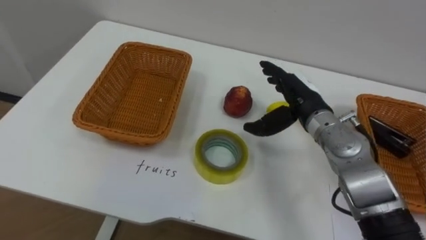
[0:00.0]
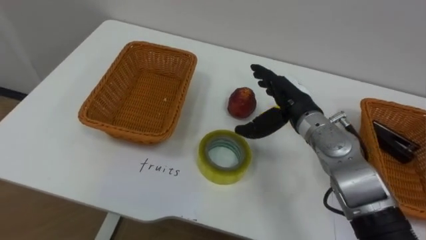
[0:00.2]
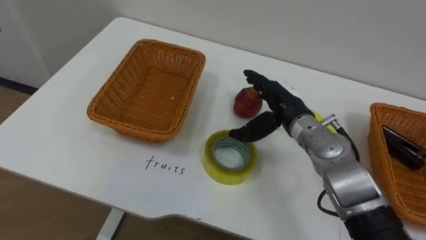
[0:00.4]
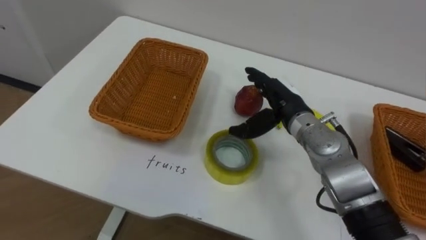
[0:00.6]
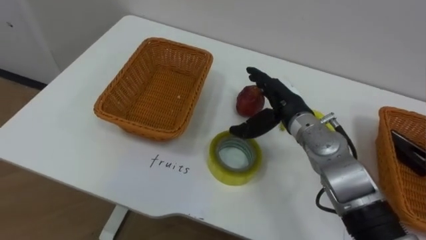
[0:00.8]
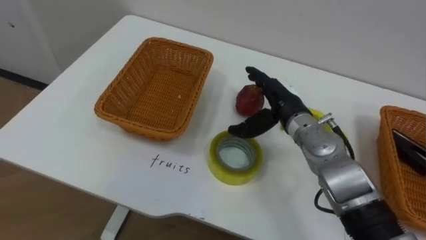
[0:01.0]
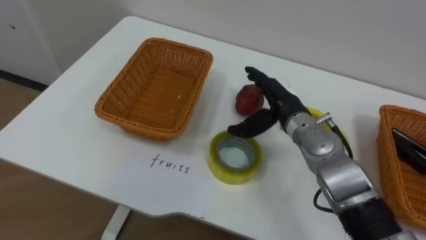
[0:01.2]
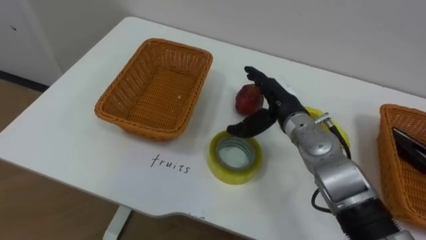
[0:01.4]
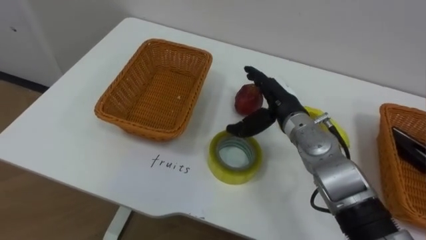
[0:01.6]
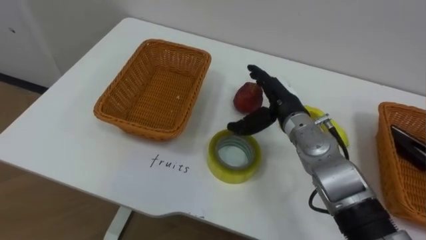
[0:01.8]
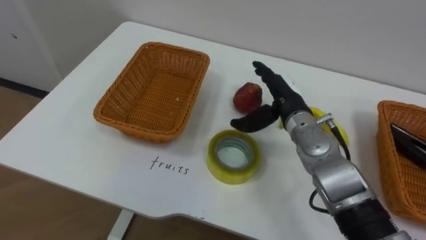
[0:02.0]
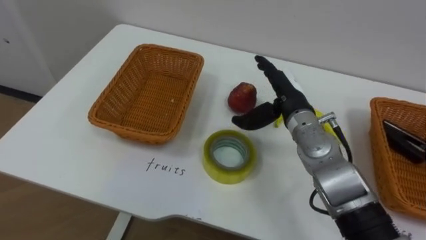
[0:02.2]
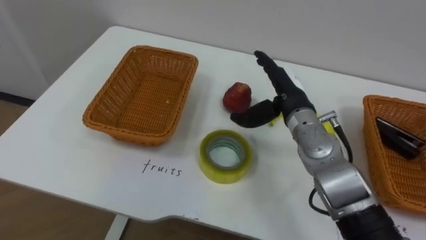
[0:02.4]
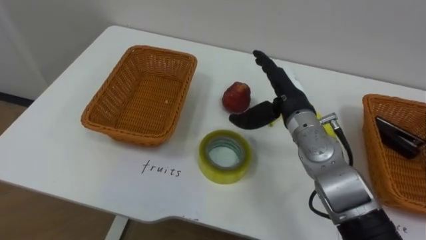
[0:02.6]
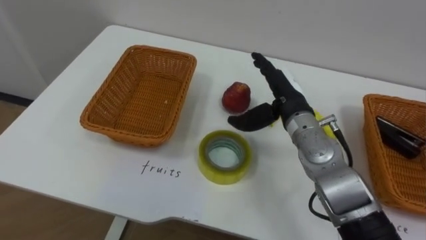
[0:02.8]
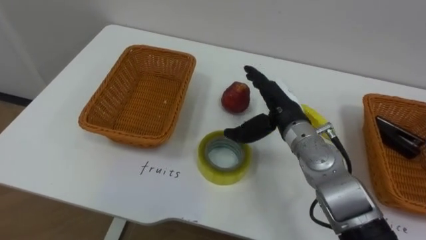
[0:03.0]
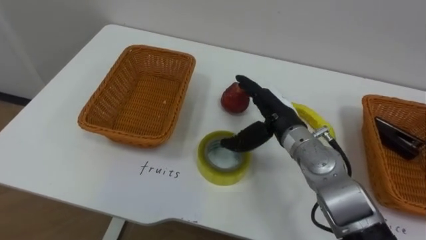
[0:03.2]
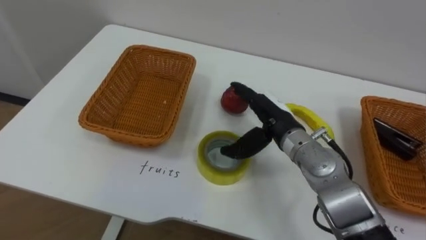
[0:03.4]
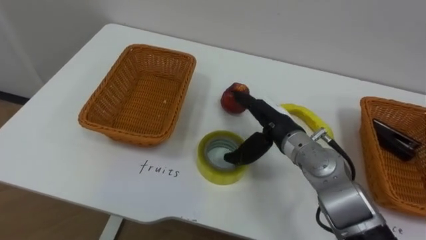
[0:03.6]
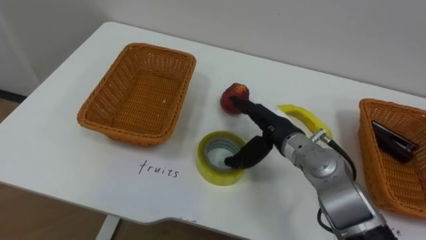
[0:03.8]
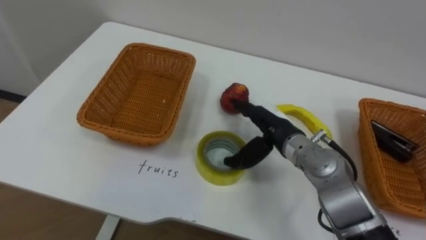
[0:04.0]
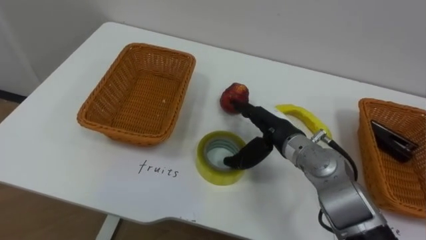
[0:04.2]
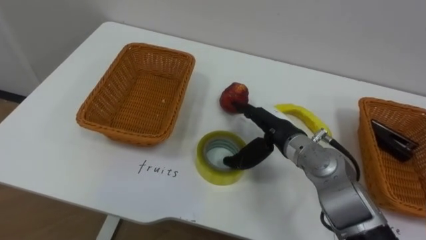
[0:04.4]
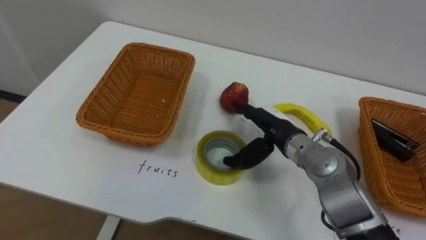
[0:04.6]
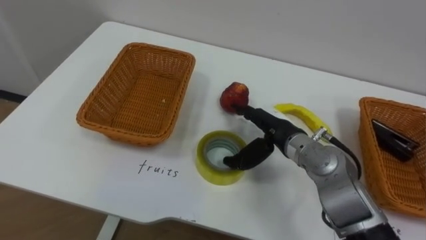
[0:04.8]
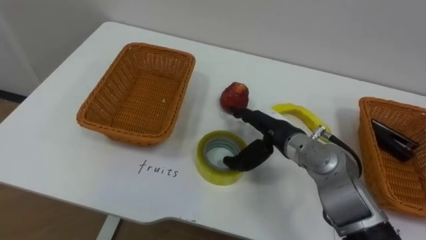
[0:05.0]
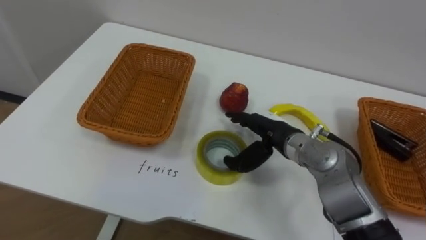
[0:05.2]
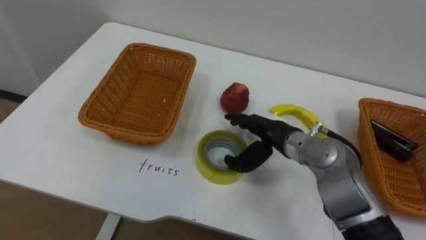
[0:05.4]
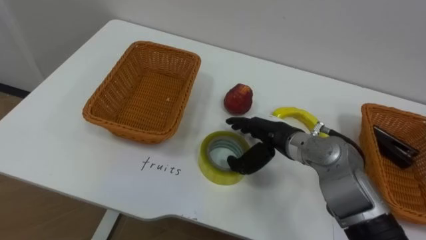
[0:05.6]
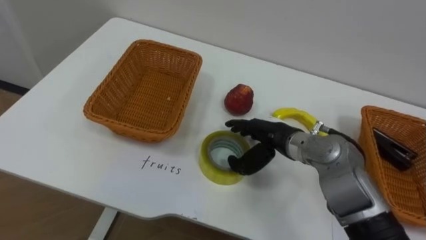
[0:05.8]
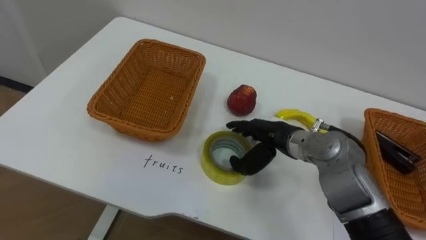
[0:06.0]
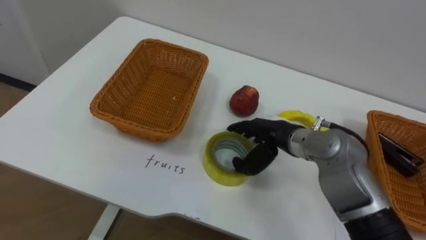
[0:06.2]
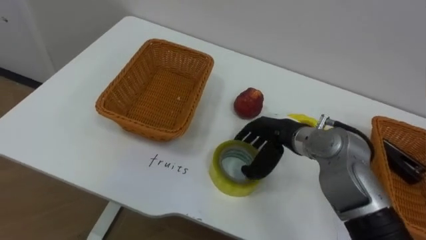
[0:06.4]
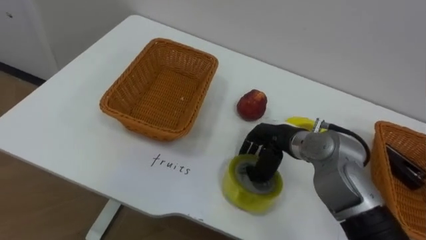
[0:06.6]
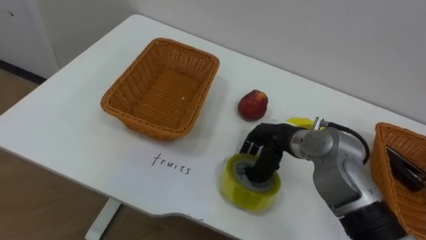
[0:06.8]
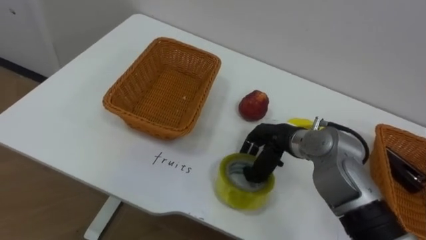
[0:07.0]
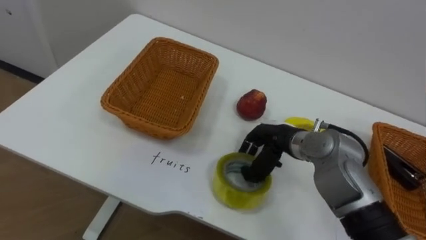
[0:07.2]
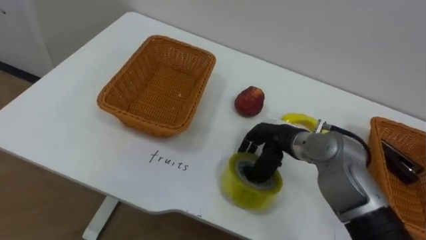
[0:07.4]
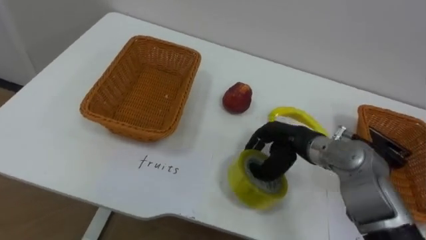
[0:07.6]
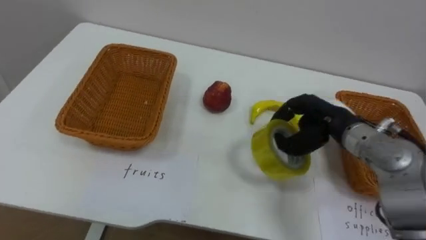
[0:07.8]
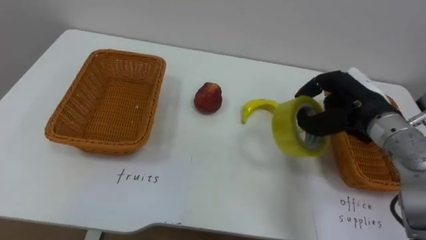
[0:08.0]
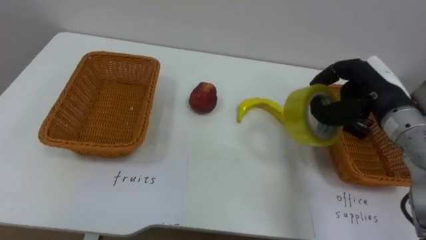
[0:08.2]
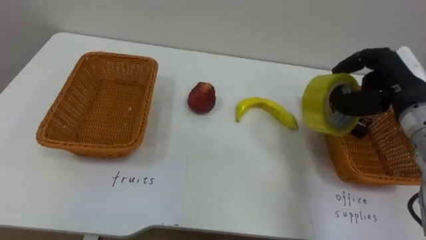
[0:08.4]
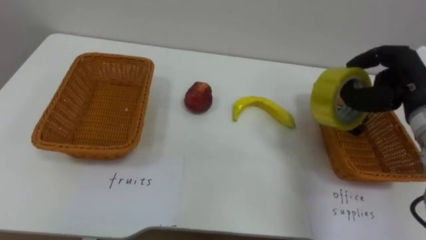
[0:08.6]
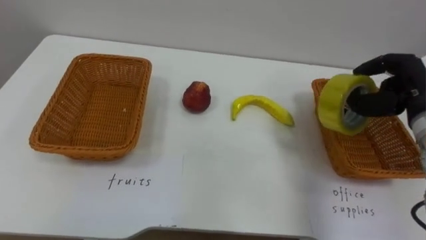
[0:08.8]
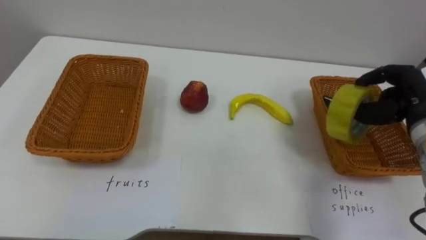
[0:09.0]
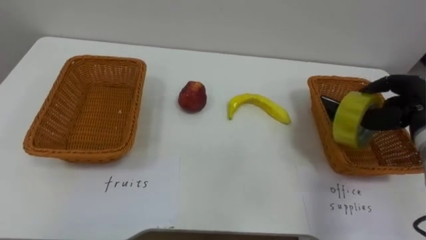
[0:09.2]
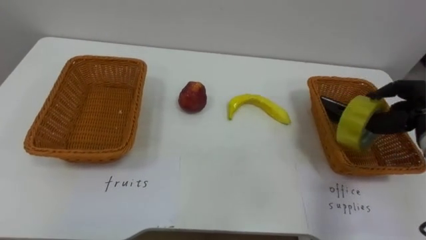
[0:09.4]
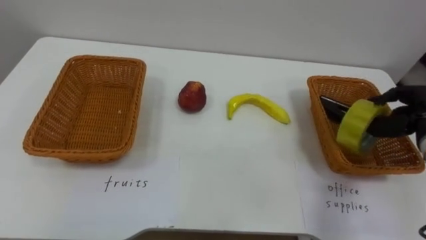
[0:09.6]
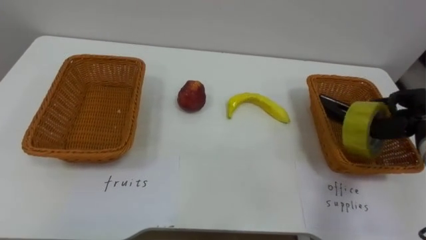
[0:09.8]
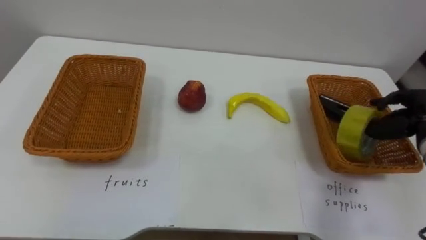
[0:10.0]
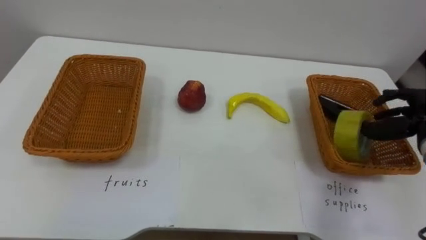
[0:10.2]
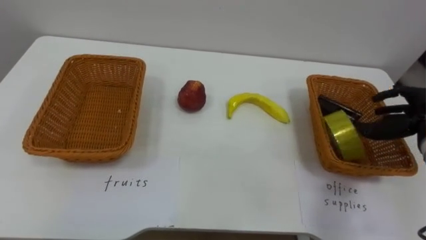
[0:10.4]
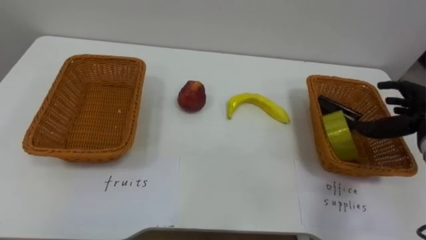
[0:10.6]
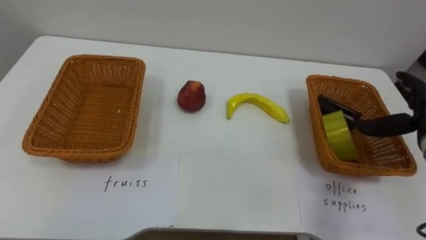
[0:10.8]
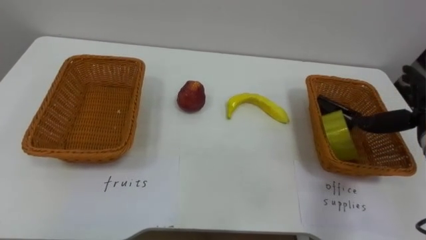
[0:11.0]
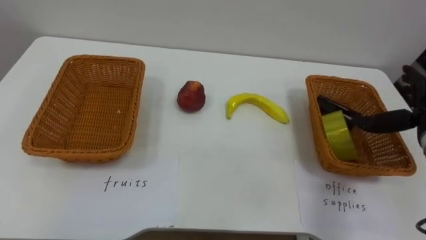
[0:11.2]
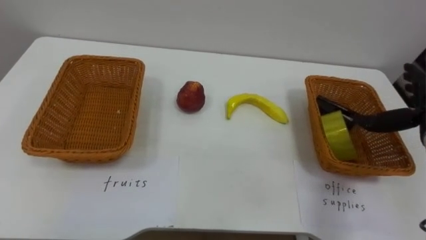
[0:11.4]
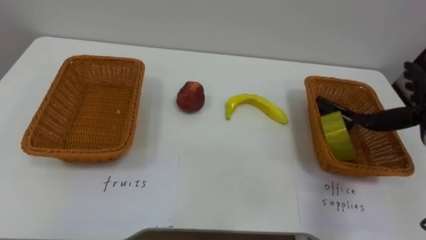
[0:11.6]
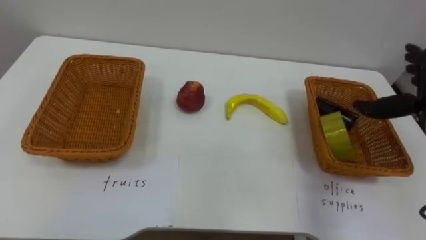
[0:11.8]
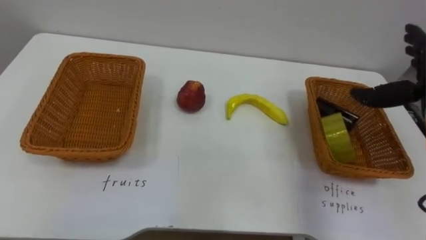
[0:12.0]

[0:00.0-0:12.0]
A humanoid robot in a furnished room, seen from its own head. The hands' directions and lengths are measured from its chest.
Task of the whole recording: Separate the items on the table and place them into the two baskets.
0:06.0 to 0:07.6: The right hand closes.
0:07.6 to 0:09.0: The right hand heads to the right and upward, covering roughly 20 cm.
0:09.0 to 0:10.4: The right hand shifts by some 5 cm, and opens its fingers.

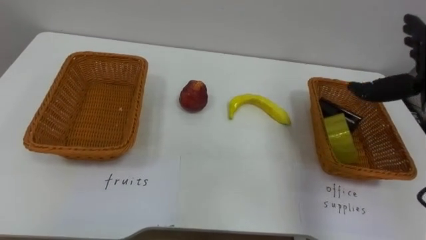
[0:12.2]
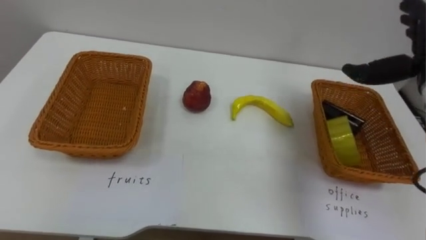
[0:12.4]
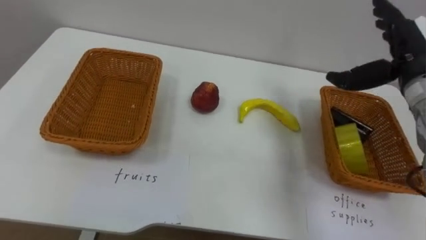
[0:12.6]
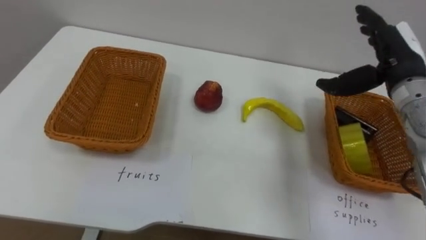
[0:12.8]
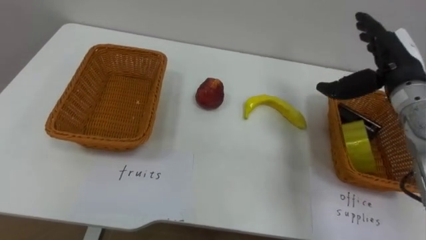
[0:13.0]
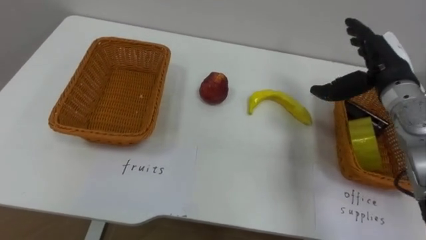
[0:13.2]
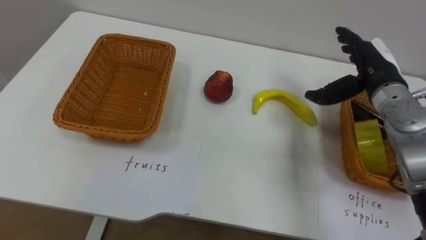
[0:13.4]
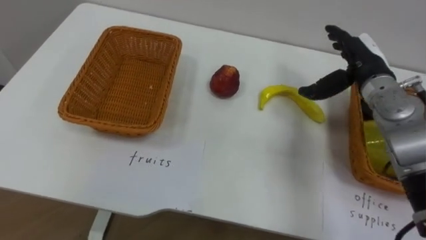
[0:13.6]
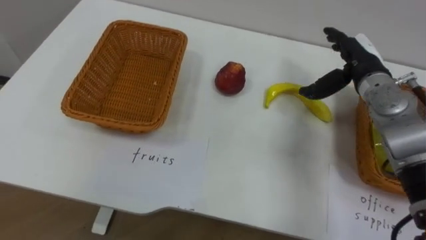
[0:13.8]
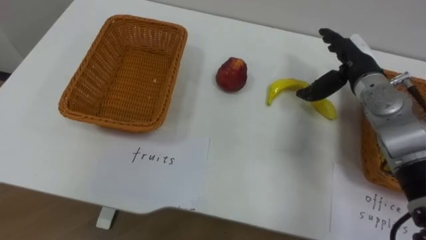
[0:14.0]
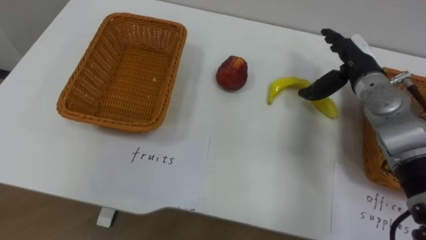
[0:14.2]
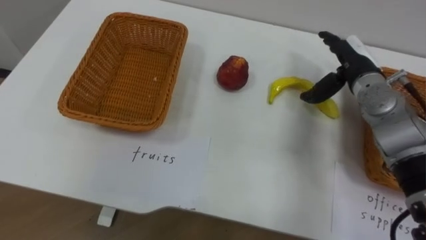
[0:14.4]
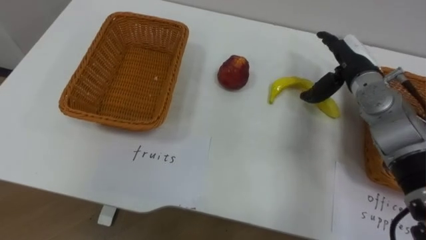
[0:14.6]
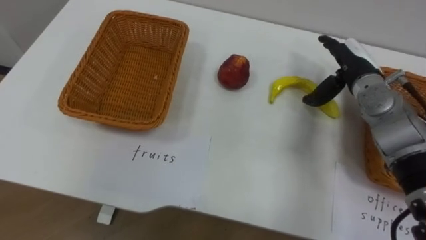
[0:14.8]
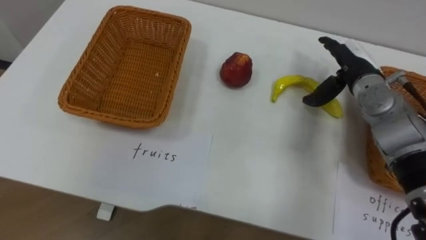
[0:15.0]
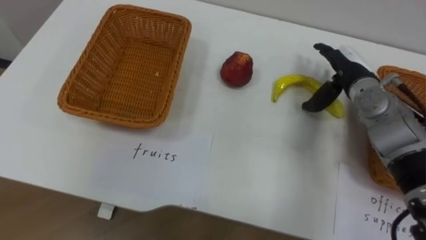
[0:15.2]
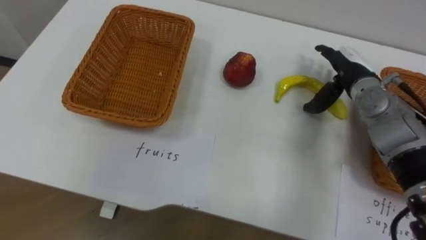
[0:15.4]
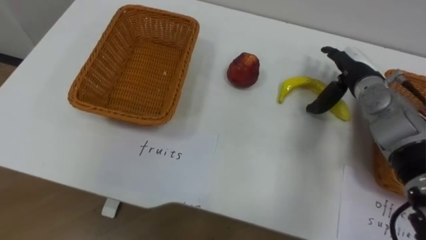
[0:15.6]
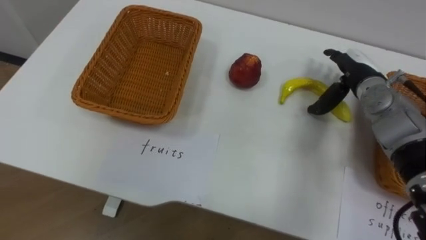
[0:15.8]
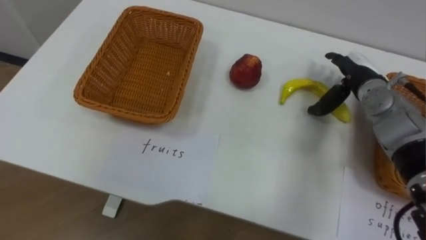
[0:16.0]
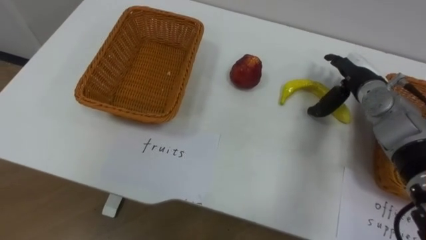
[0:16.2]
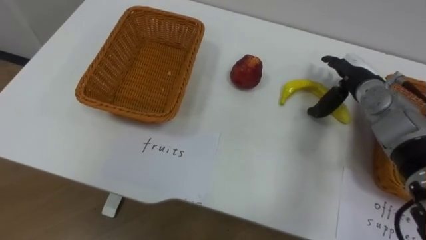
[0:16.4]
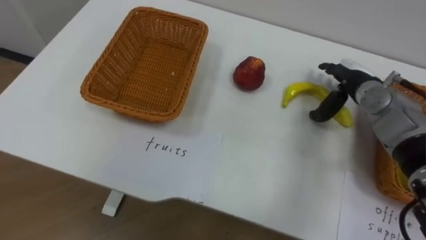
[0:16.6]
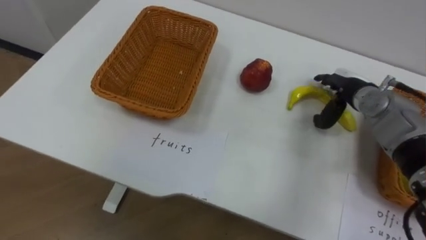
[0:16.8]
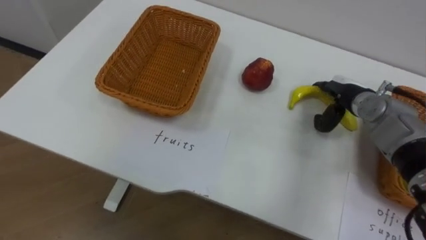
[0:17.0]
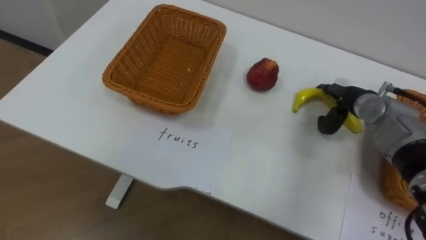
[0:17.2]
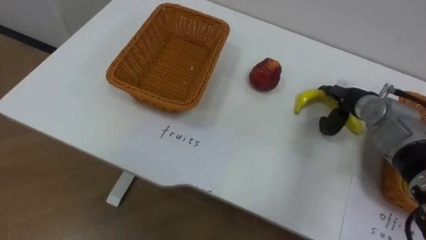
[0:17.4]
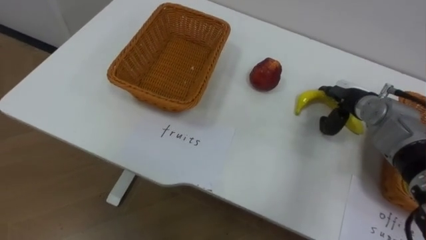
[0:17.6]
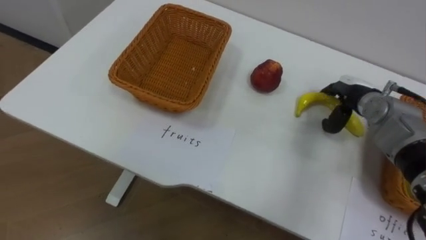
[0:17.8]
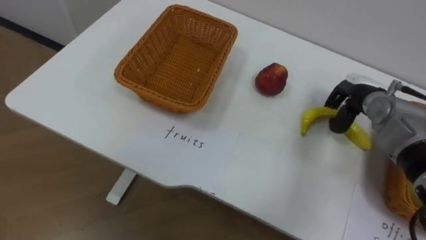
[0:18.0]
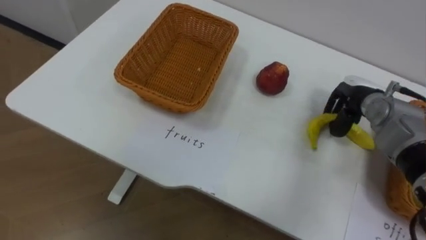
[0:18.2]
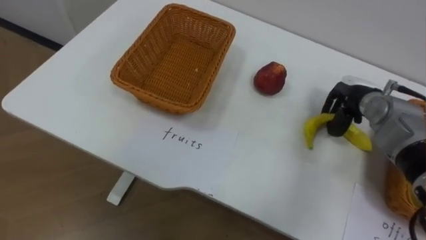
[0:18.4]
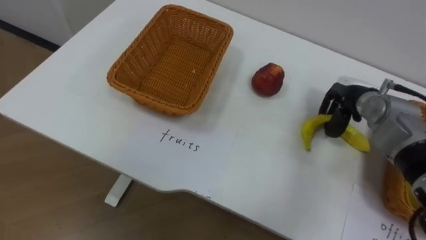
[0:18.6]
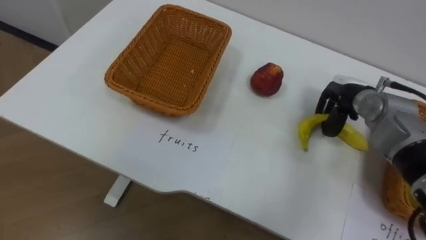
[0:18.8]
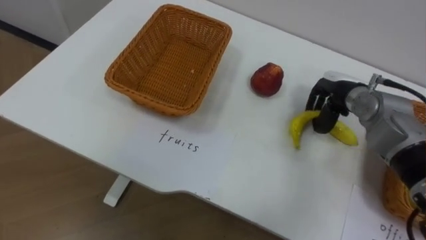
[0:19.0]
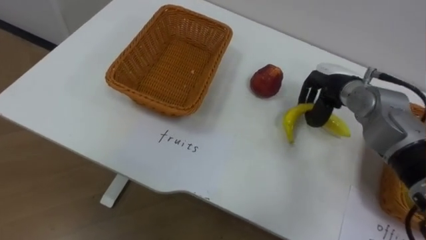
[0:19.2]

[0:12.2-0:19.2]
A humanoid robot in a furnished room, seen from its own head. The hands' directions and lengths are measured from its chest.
Task of the whole recording: Separate the items on the table and place them into the two baskets.
0:17.8 to 0:19.2: The right hand moves approximately 5 cm, and closes its fingers.
